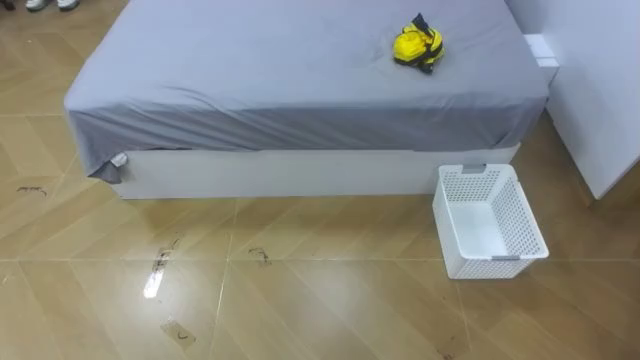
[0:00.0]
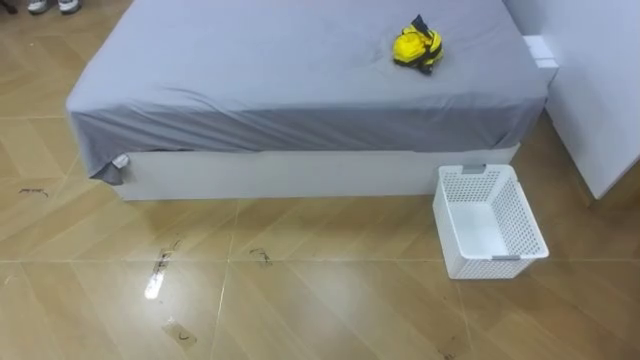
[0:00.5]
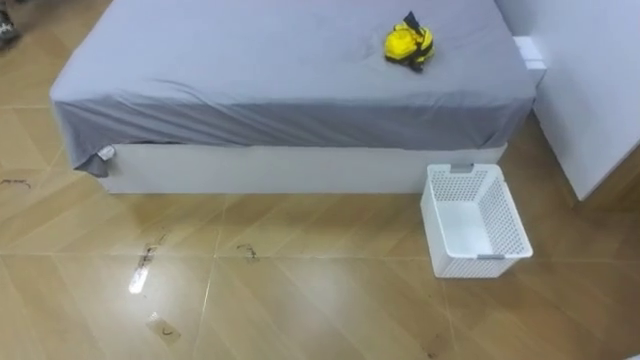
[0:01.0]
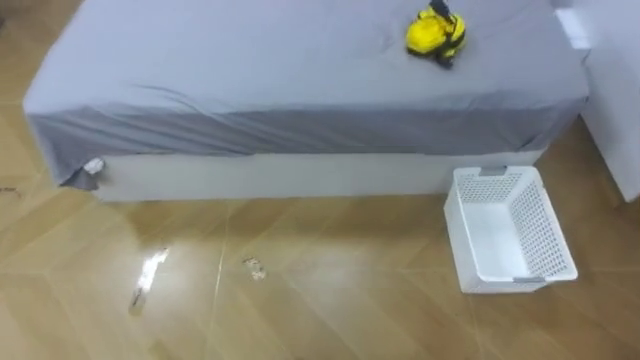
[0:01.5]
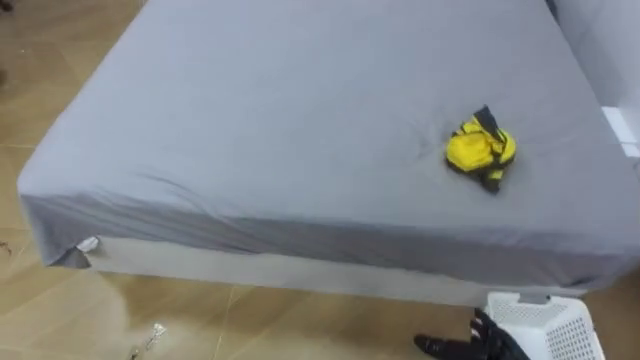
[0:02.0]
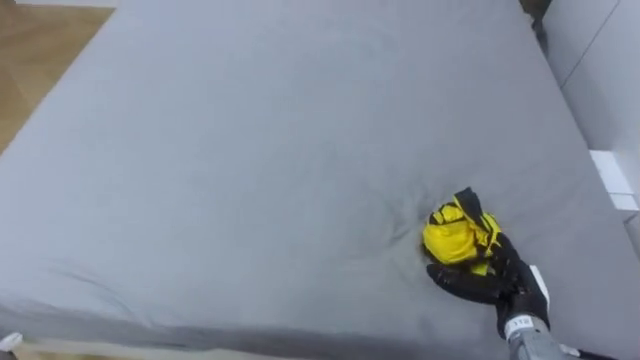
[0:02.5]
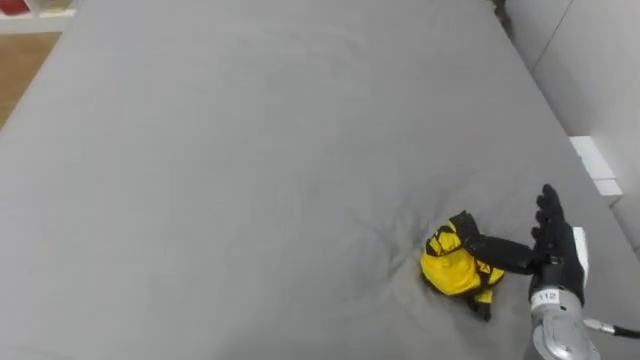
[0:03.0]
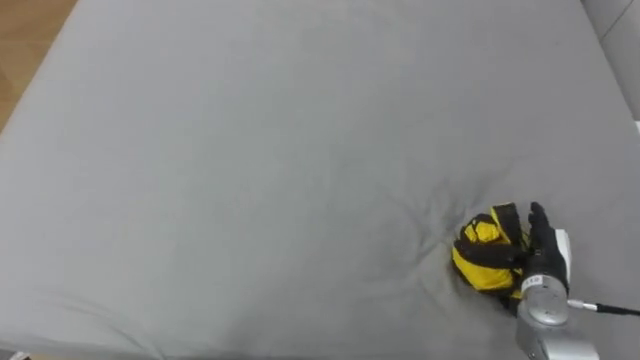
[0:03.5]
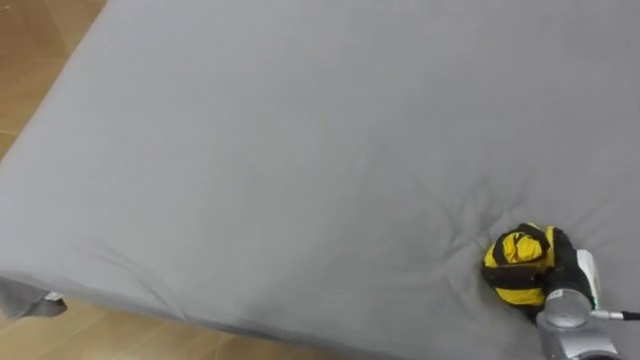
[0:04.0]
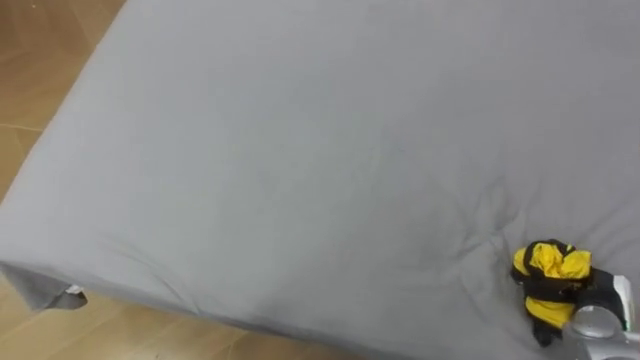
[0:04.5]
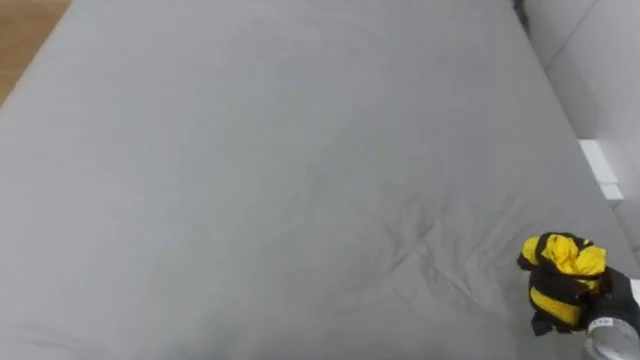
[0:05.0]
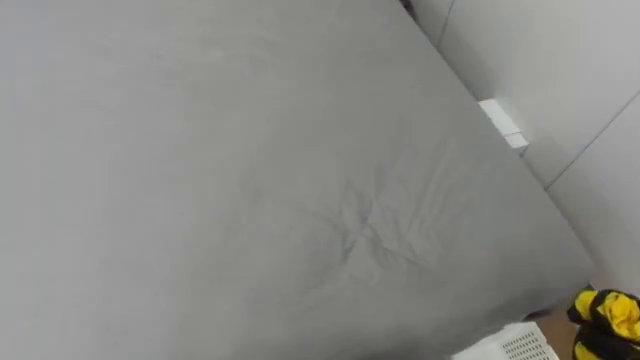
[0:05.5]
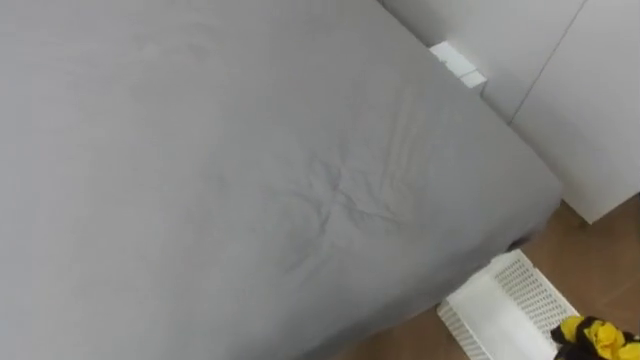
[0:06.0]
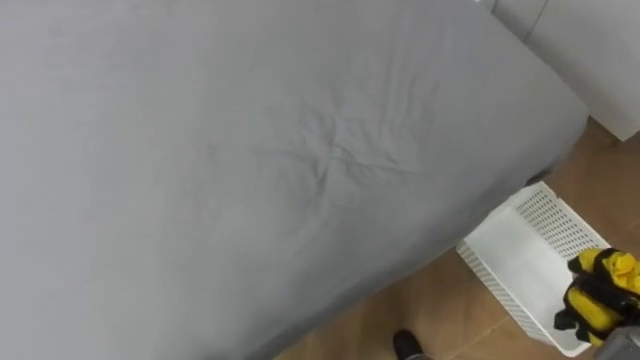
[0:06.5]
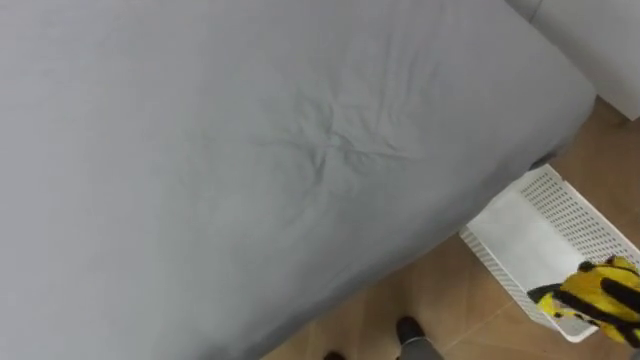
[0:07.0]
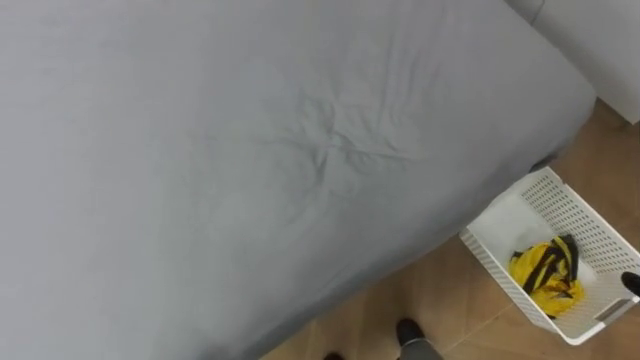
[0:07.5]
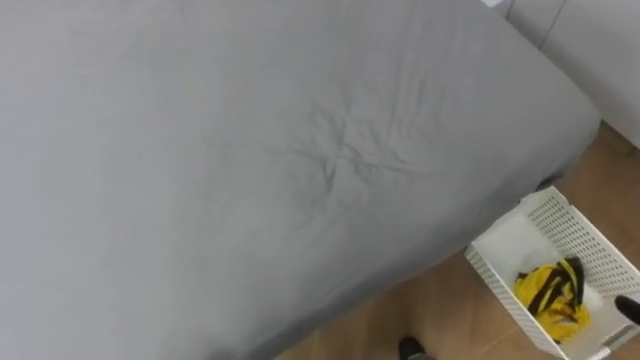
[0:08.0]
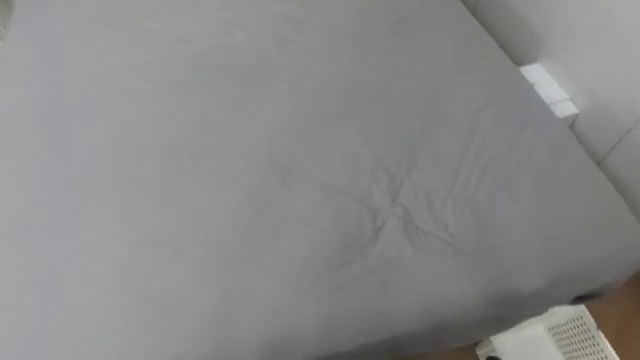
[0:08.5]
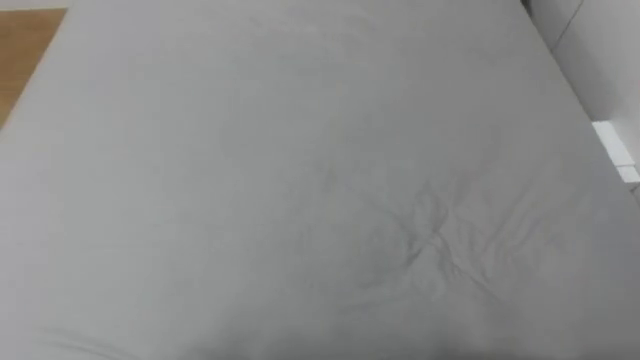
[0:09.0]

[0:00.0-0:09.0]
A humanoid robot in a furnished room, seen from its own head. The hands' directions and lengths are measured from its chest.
Task of the whole recording: Pick up the yellow clothes on the bed and place them into the white basket on the right.
0:07.0 to 0:09.0: The robot rotates about 20 degrees to its left.

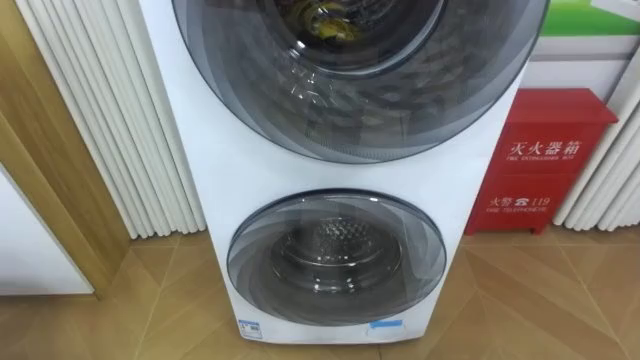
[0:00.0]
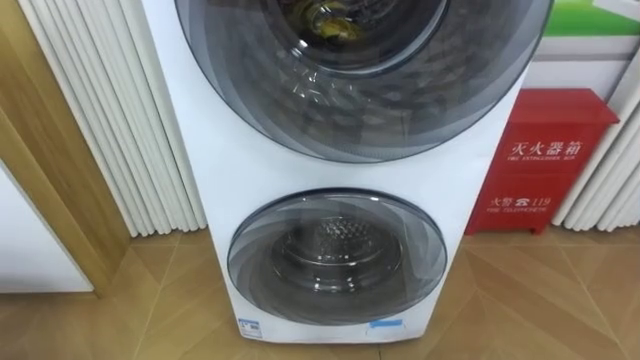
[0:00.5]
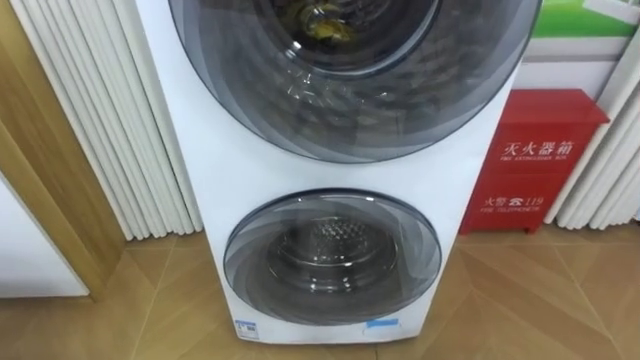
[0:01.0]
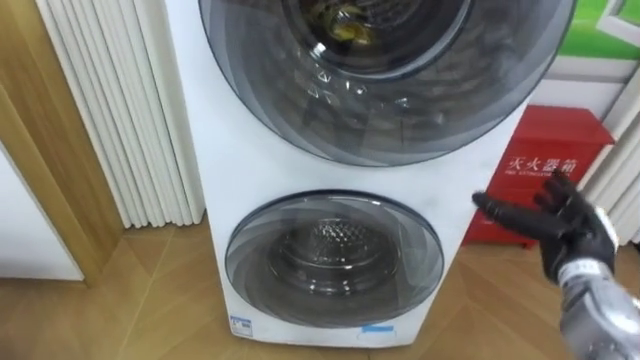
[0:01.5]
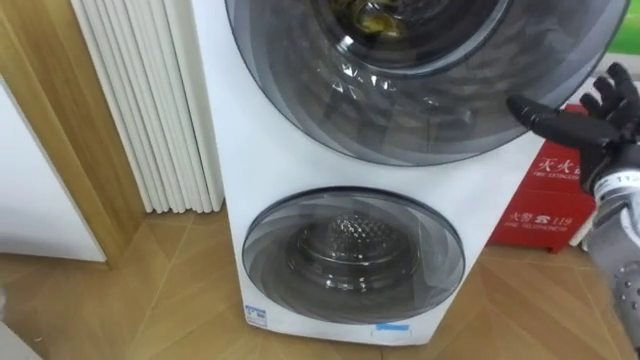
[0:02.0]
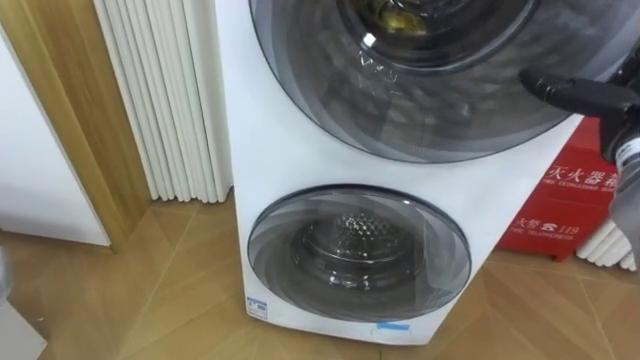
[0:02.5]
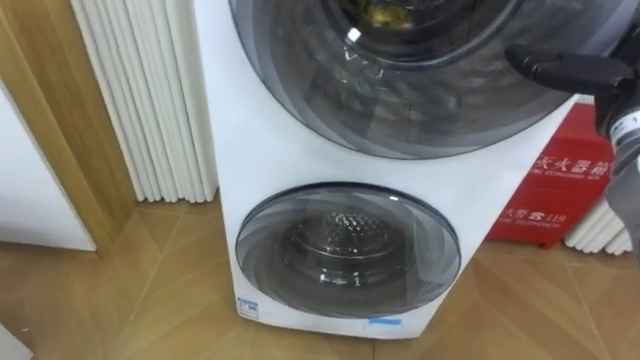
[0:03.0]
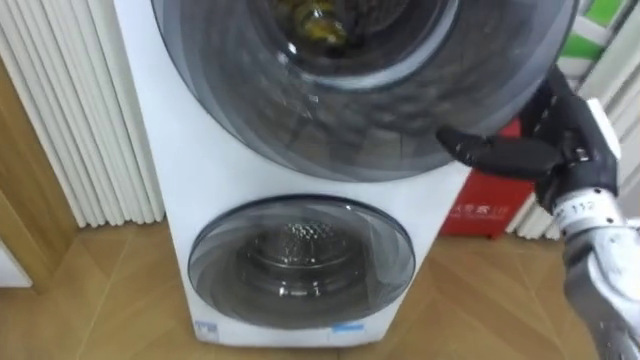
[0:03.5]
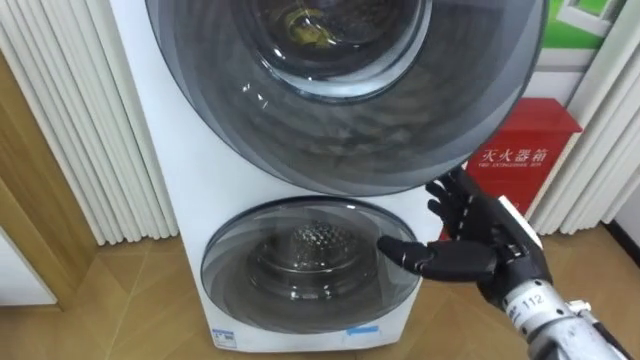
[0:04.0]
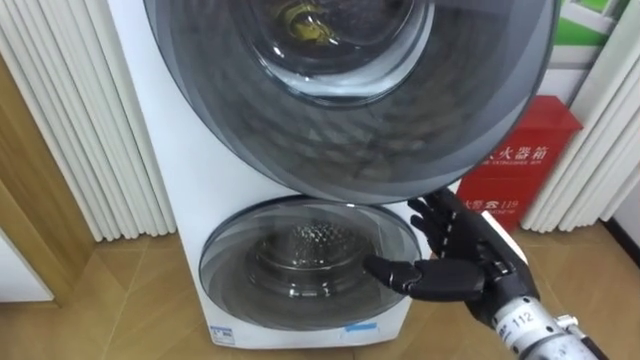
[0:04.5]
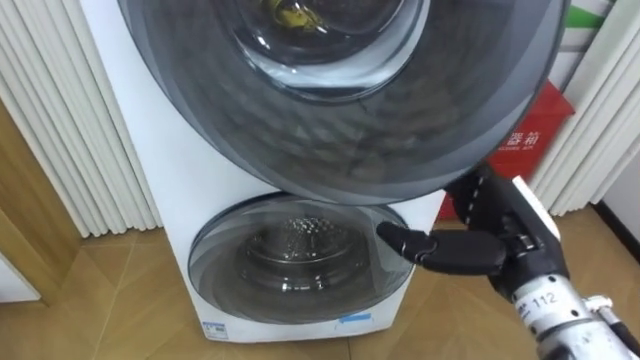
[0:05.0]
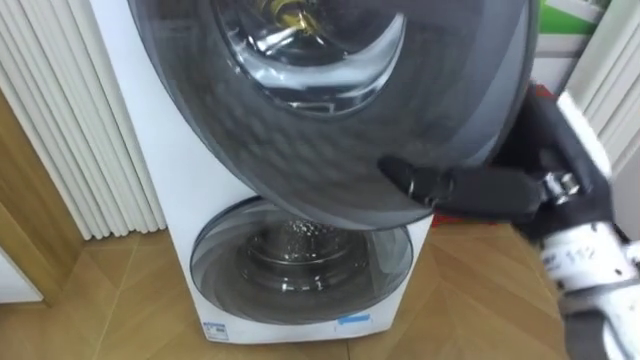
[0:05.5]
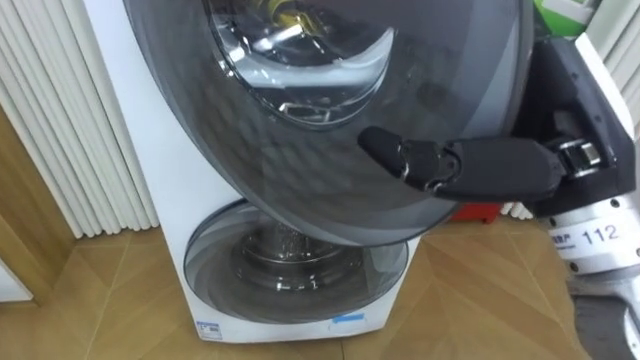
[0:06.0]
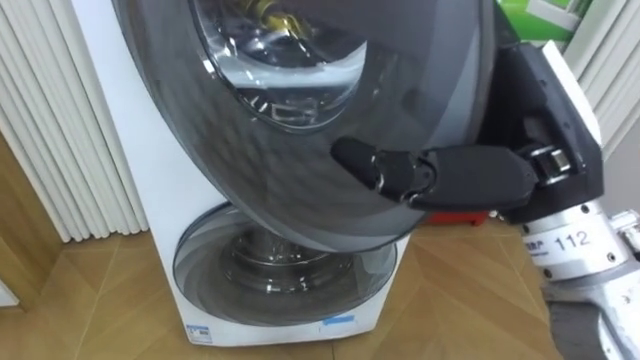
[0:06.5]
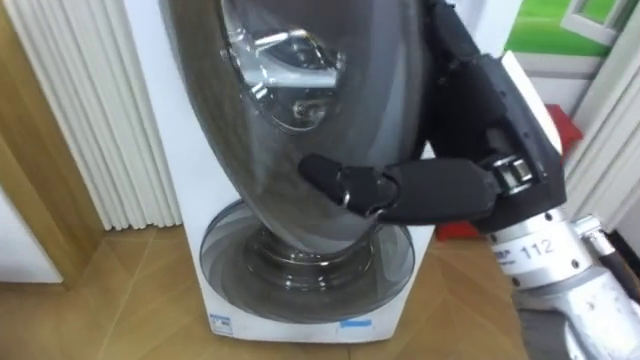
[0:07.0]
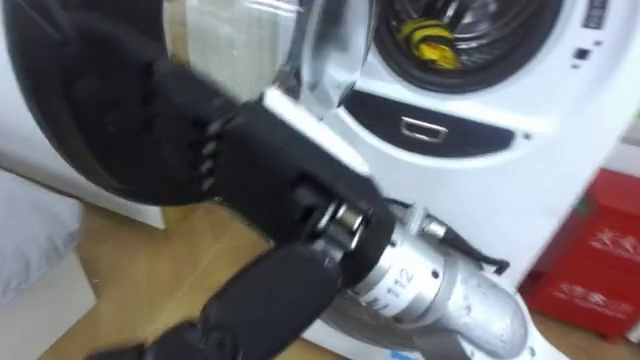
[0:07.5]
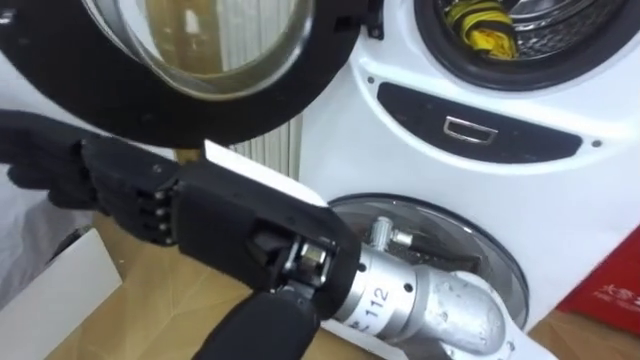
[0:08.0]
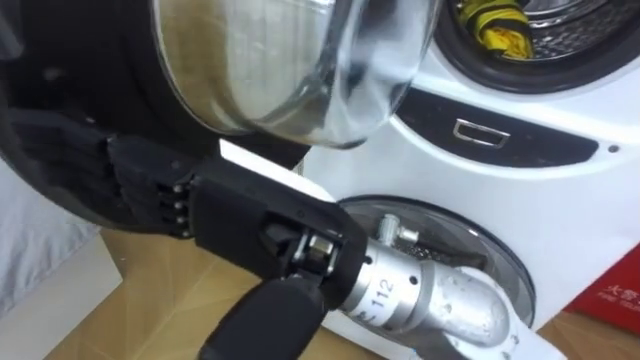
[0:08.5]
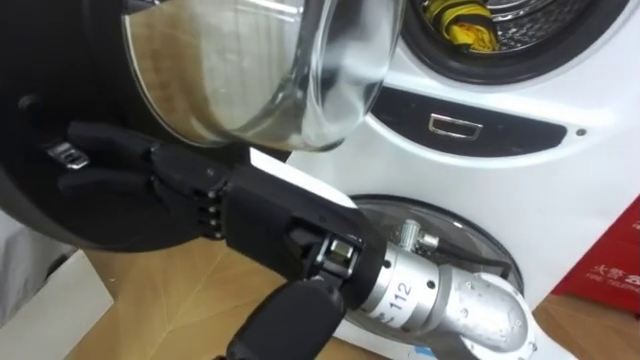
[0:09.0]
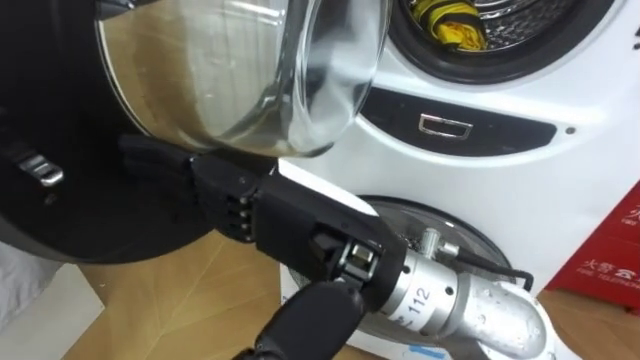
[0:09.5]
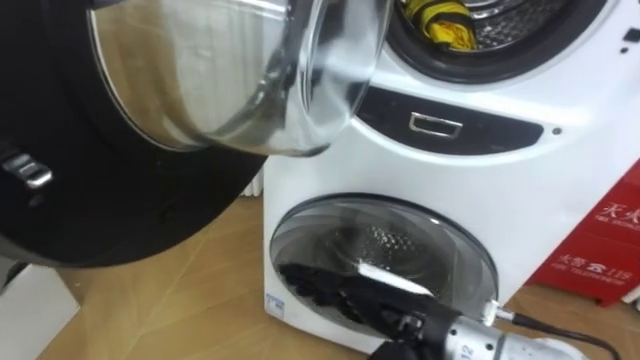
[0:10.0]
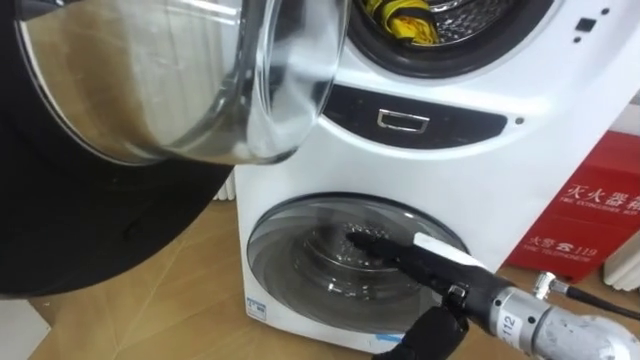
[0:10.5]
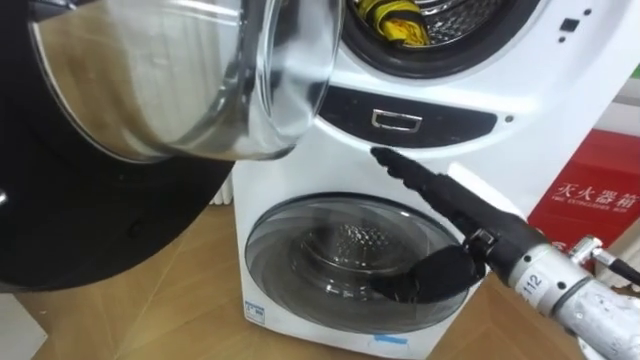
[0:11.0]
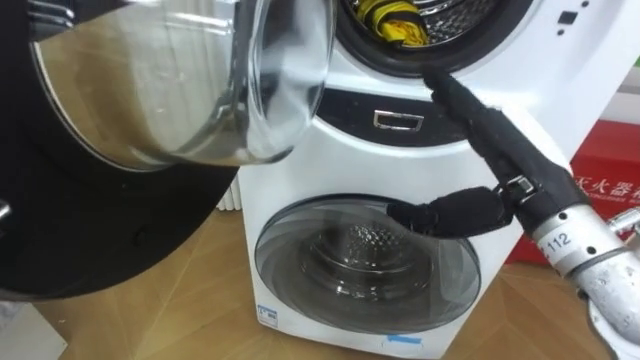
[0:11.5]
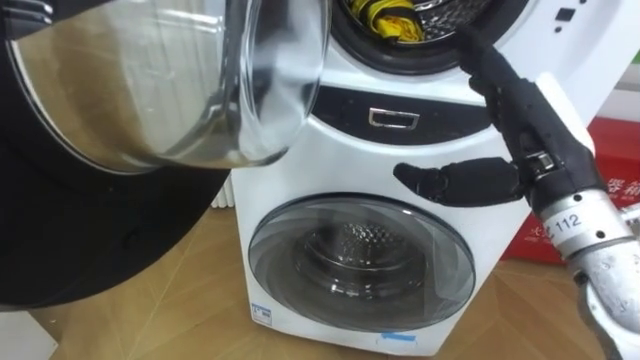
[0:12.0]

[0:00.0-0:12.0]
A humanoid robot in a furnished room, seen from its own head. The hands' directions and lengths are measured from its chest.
Task of the whole recording: Open the washing machine door, take out the yellow clothes, place them in the box on the right, and close the washing machine door.
0:02.0 to 0:04.0: The right hand is displaced to the left, backward and downward by approximately 15 cm.
0:04.0 to 0:06.0: The right hand travels upward by roughly 20 cm.
0:06.0 to 0:08.0: The right hand is displaced to the left by approximately 20 cm.
0:08.0 to 0:10.0: The right hand moves downward and to the right, about 20 cm.
0:10.0 to 0:12.0: The right hand shifts about 20 cm upward, to the right and forward.
